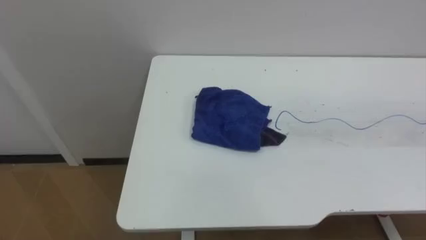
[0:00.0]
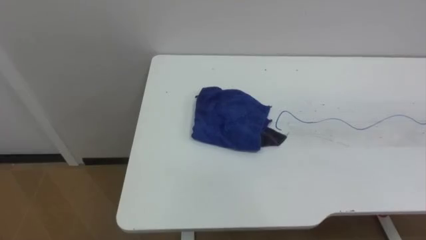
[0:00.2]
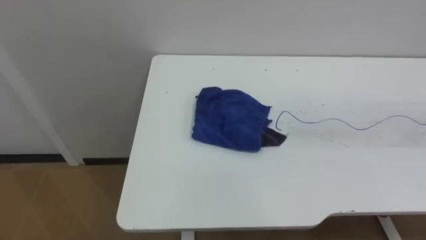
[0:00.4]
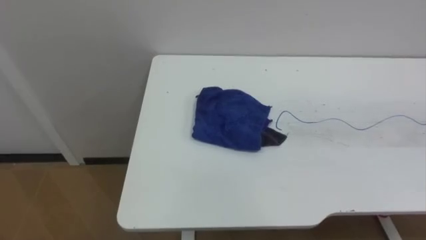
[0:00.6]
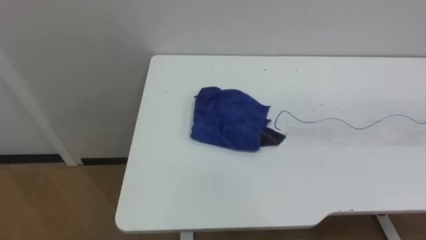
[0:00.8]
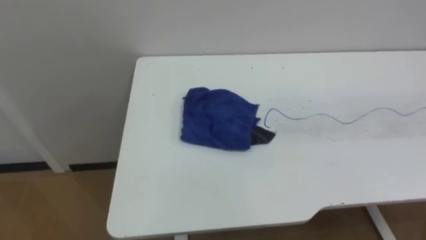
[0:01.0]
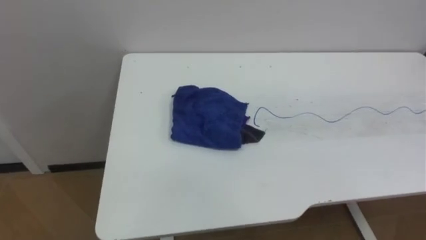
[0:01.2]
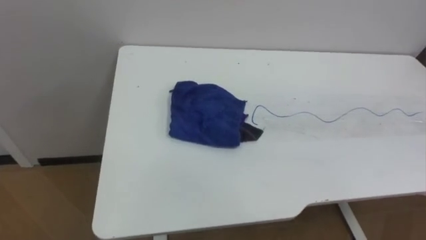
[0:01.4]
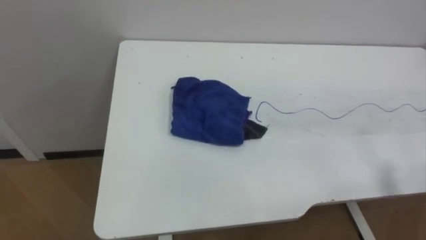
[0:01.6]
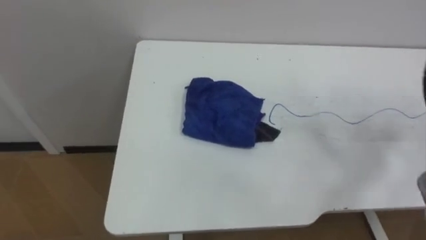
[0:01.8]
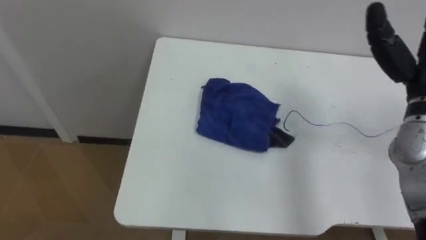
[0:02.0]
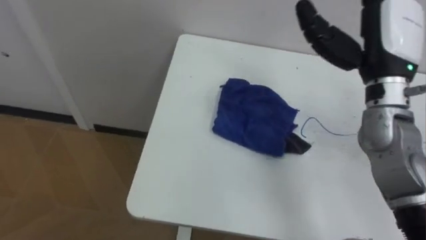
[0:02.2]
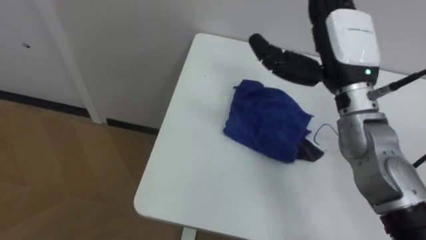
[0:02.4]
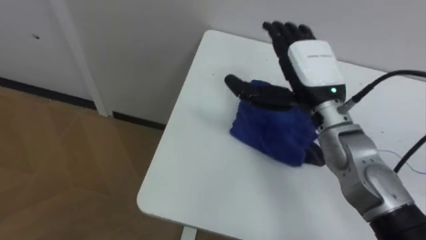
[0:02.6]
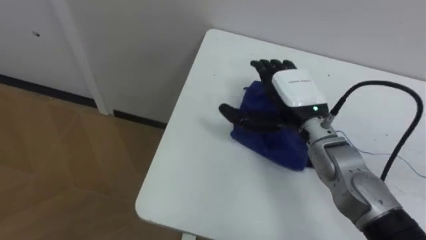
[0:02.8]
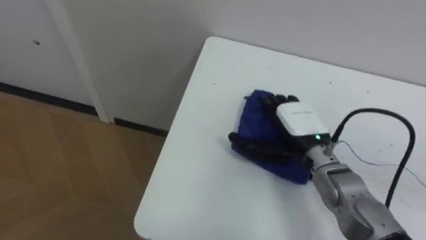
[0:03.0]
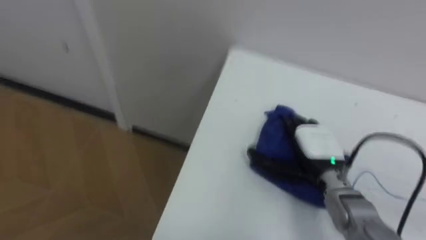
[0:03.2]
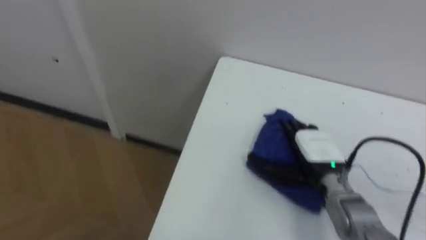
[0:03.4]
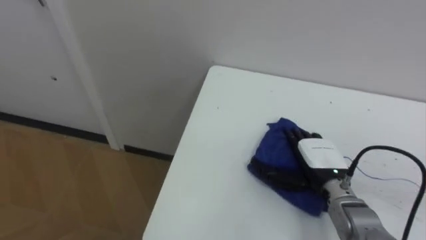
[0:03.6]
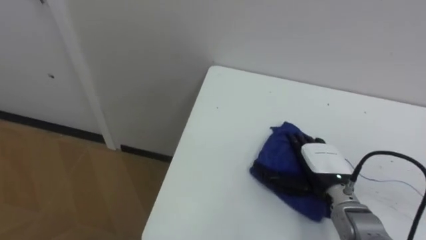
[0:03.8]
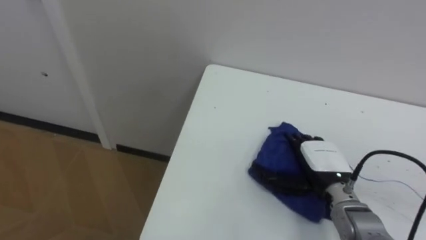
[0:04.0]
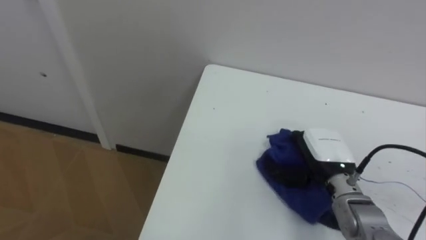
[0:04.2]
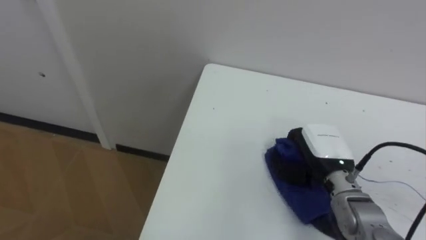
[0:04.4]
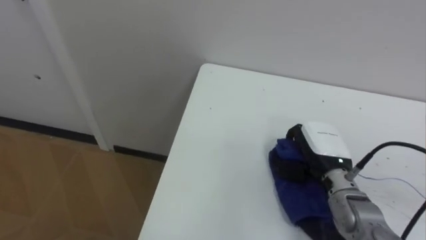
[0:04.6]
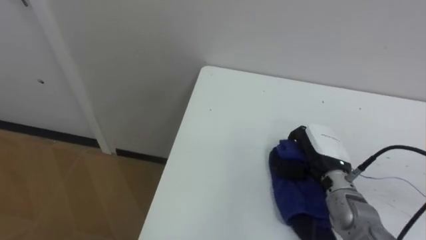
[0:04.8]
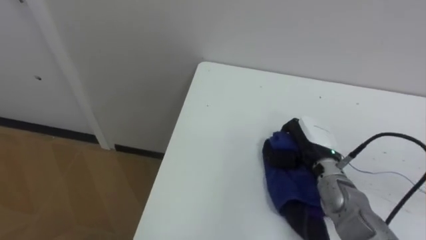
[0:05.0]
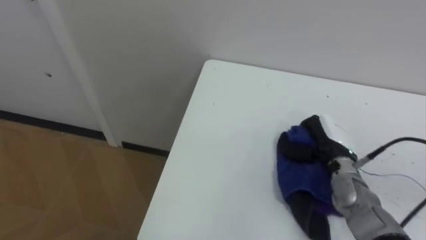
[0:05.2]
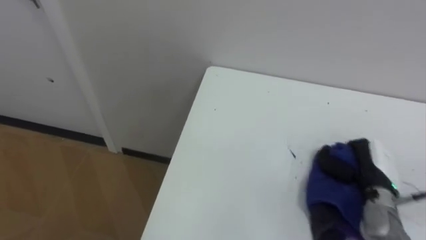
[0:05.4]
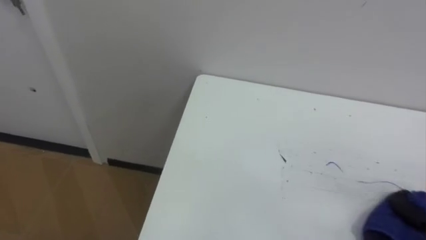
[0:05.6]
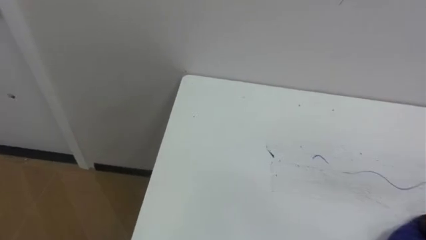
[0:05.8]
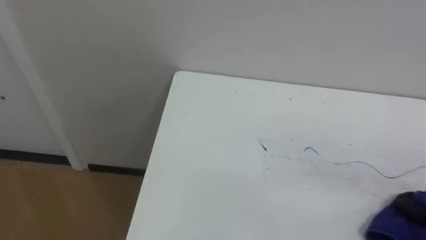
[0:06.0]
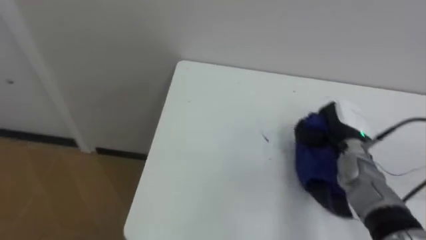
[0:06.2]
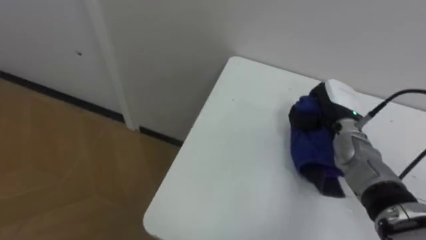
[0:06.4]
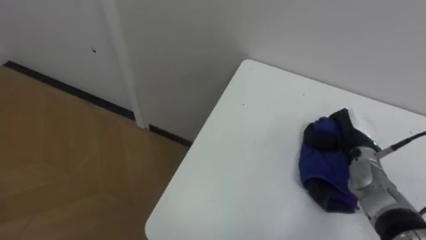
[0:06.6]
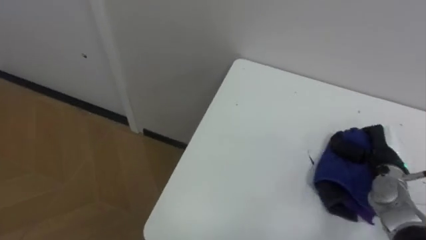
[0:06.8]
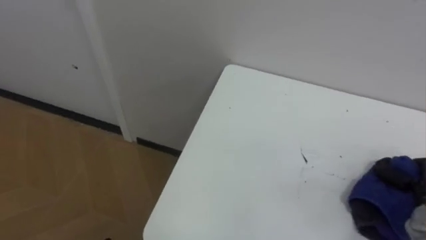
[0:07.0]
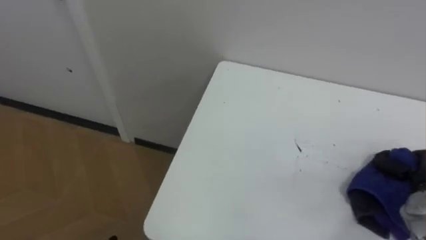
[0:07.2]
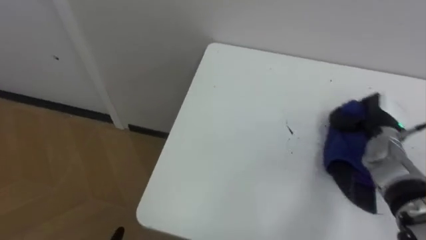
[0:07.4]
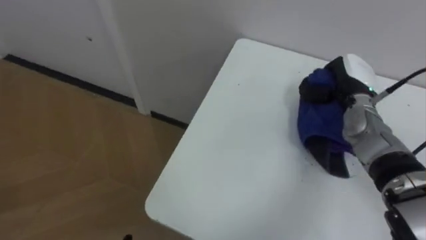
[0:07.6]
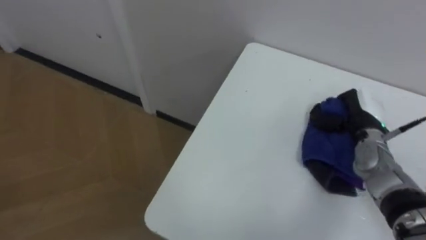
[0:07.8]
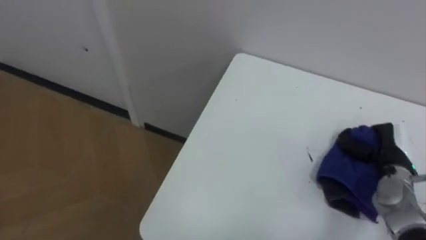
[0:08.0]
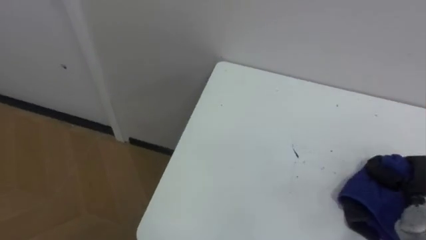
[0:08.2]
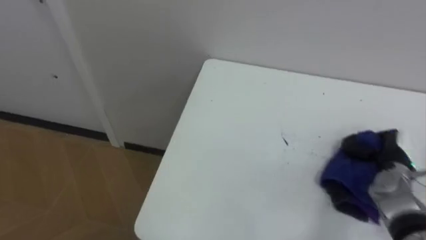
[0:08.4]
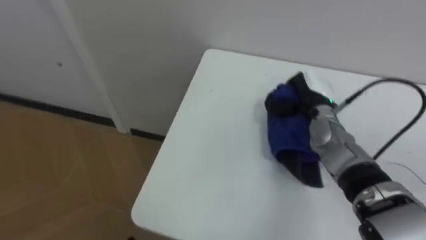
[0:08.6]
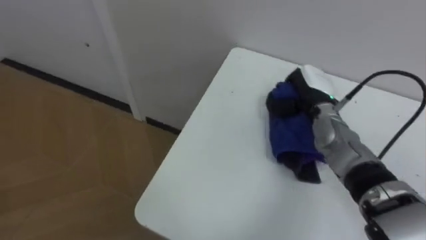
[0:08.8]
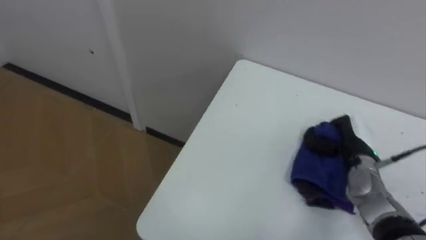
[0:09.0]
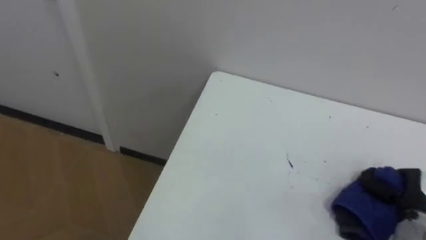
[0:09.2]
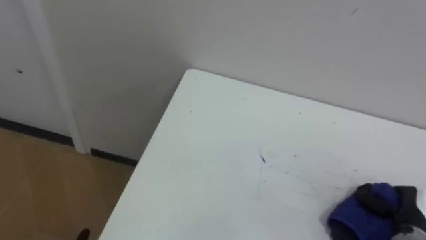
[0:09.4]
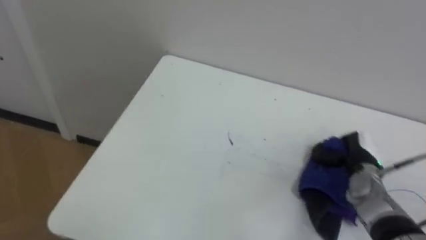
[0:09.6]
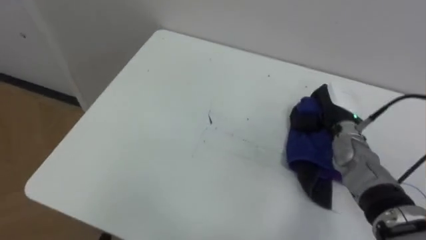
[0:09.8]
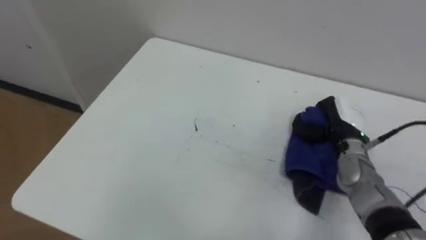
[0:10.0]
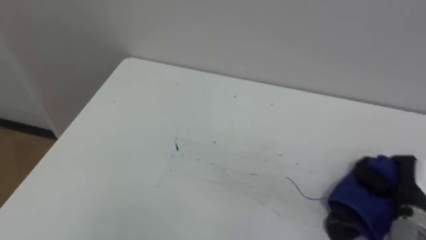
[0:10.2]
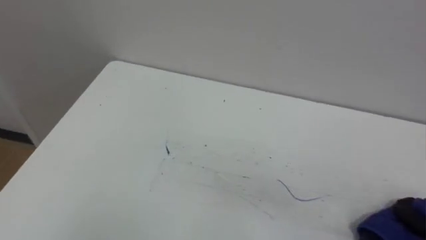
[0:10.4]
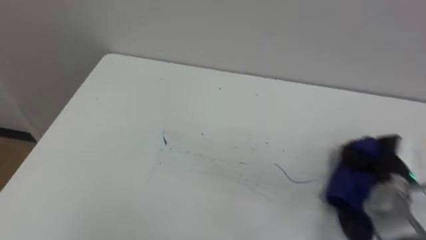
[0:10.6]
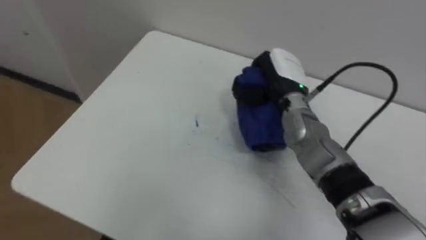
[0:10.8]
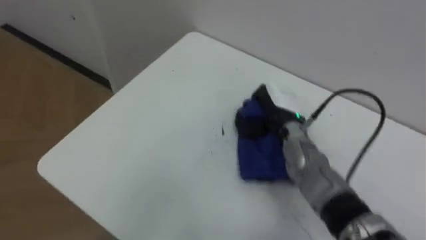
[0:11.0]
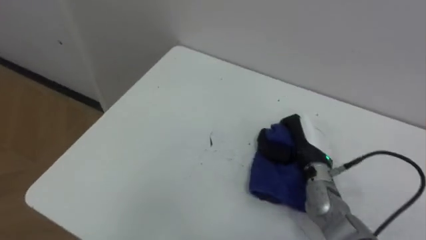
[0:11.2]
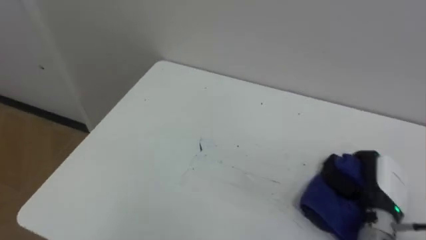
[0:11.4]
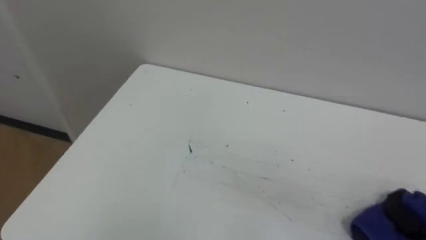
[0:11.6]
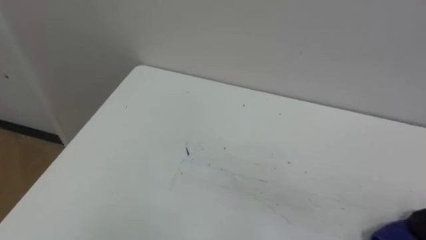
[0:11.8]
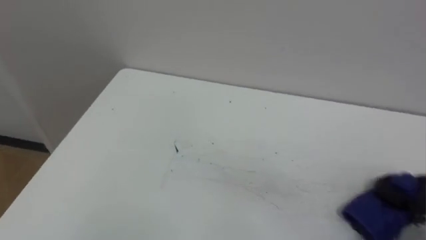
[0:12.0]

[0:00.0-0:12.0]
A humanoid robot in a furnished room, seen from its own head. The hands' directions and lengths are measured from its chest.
Task of the whole recording: Wipe the blue pen marks off the table with the rag.
0:03.0 to 0:04.4: The right hand moves to the right, approximately 5 cm, and closes its fingers.
0:07.6 to 0:09.0: The right hand moves left and right over some 20 cm, changing direction 2 times.

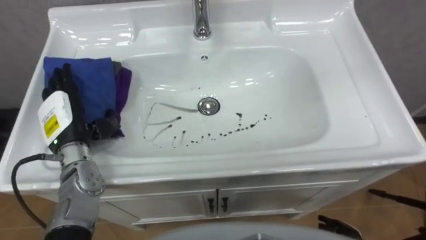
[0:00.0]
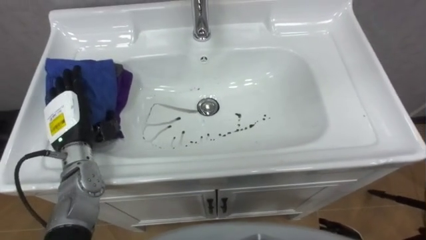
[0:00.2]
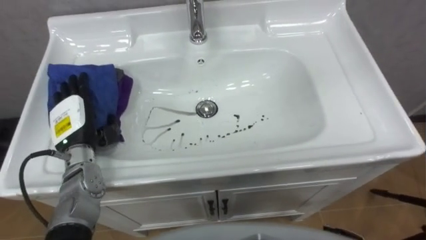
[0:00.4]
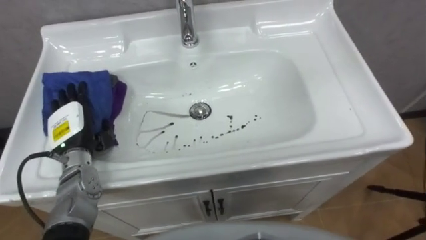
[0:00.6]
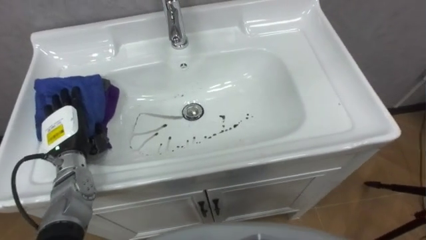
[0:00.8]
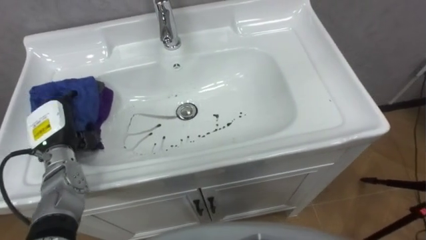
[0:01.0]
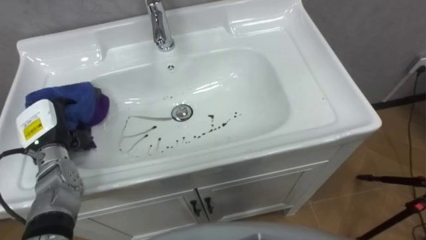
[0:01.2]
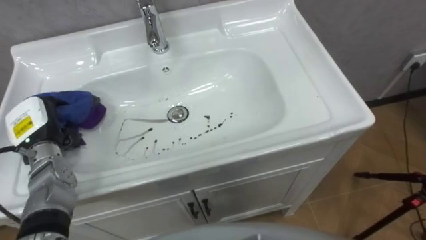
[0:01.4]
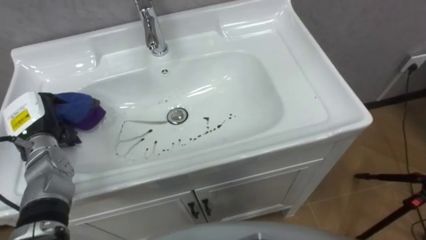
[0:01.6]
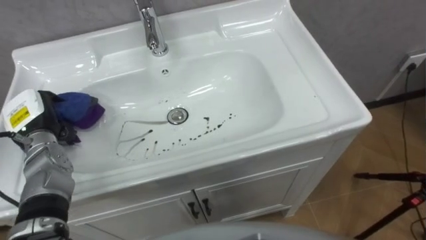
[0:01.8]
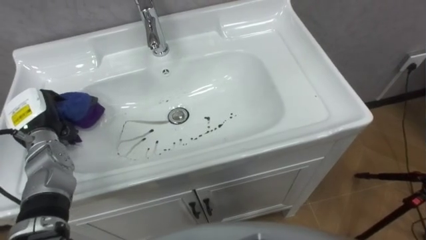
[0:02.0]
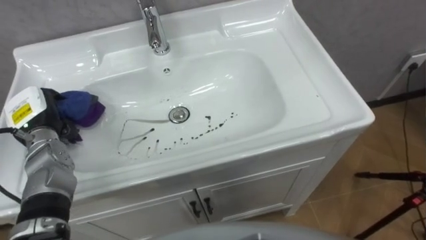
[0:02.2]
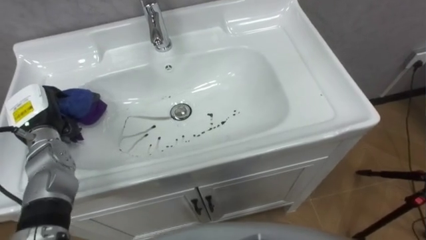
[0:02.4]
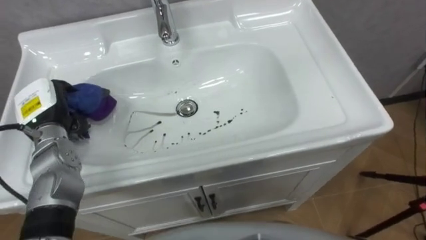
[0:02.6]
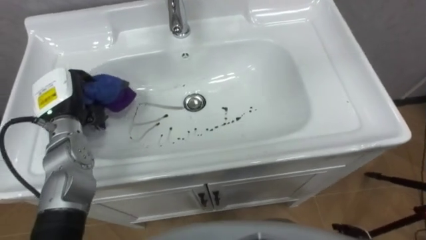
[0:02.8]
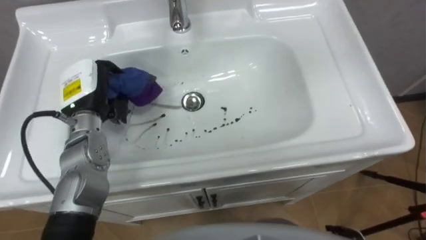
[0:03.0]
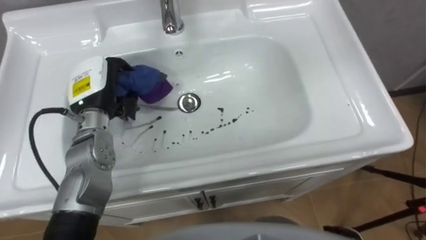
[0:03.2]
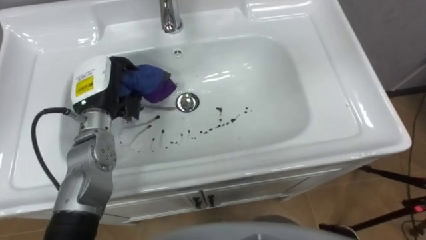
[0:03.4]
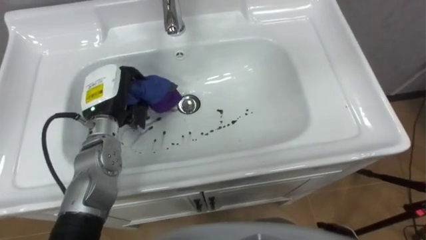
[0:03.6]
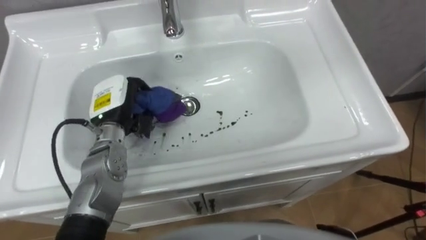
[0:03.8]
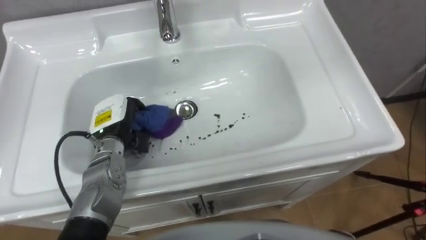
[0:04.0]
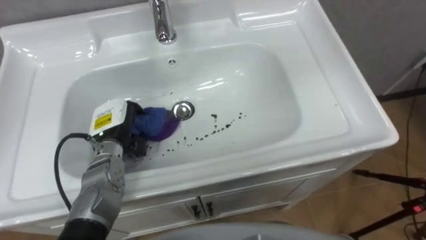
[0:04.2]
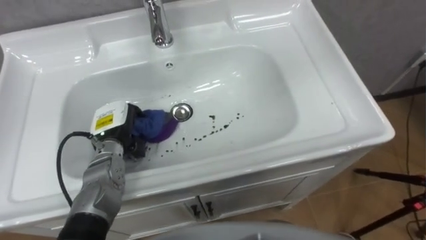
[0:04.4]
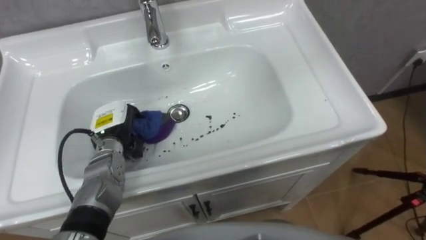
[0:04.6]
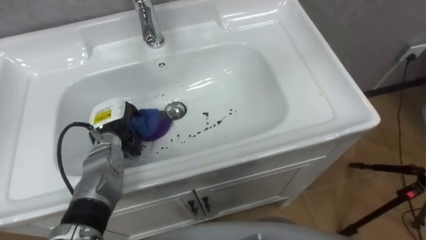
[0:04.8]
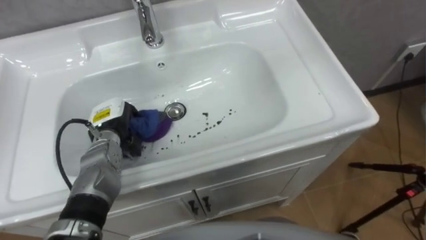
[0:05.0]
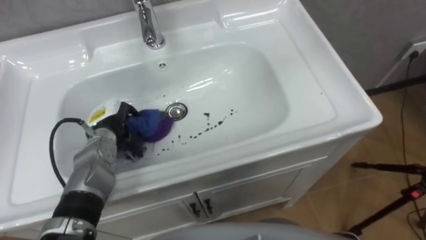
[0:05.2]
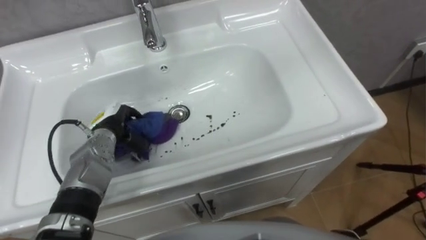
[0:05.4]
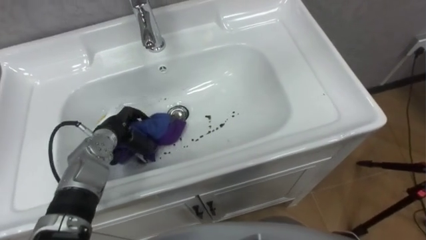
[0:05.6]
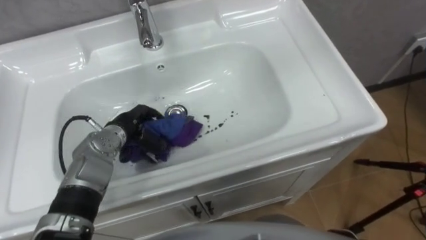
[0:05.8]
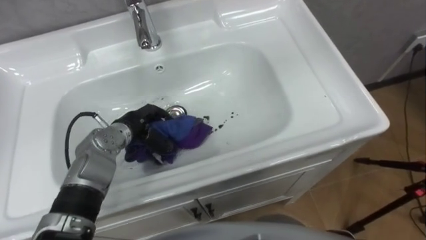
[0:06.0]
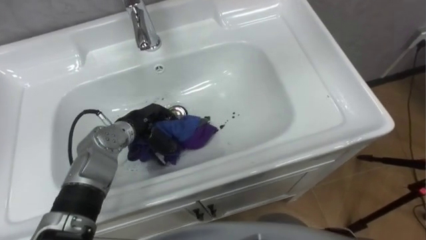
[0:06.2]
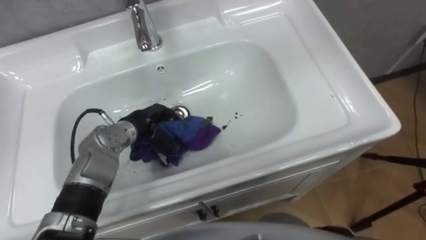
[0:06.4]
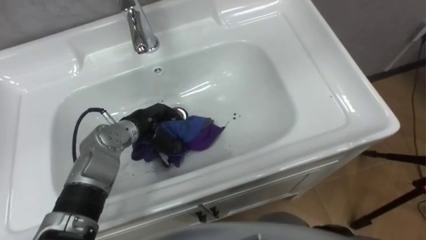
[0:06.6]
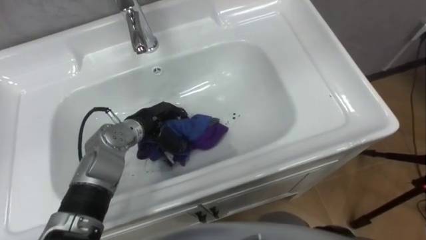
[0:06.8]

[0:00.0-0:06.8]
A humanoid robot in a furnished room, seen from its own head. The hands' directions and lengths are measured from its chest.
Task of the whole recording: Use the cloth on the right to wipe away the black stain in the sink.
0:00.0 to 0:01.4: The left hand heads to the left, covering some 5 cm, and closes.
0:01.4 to 0:02.8: The left hand moves to the right and upward, approximately 10 cm.
0:02.8 to 0:04.0: The left hand travels to the right and downward by some 10 cm.
0:05.4 to 0:06.8: The left hand travels to the right by approximately 10 cm.
